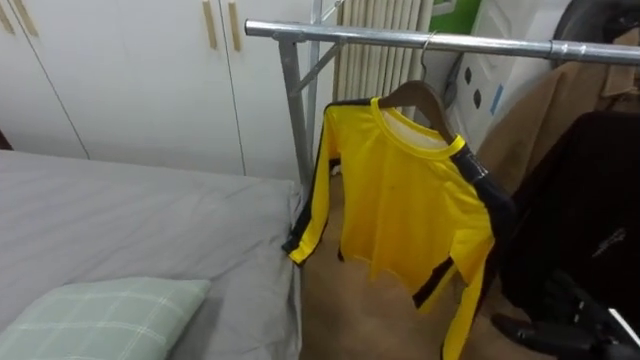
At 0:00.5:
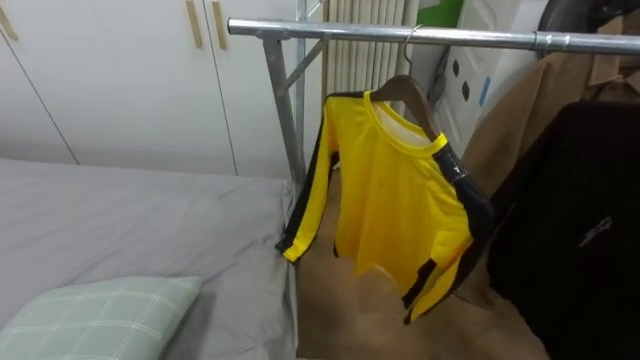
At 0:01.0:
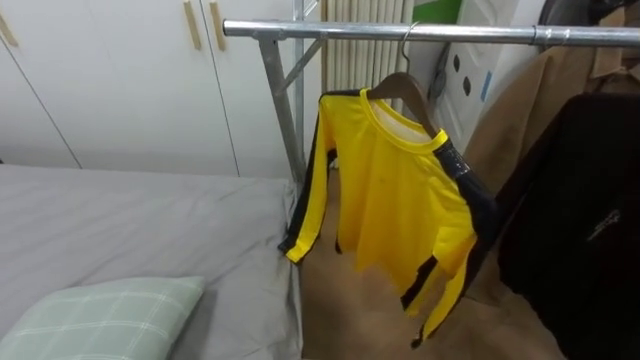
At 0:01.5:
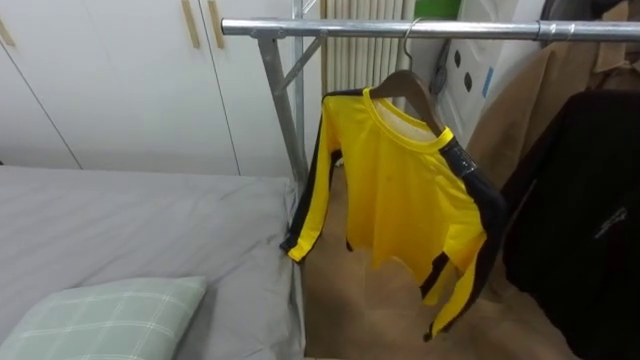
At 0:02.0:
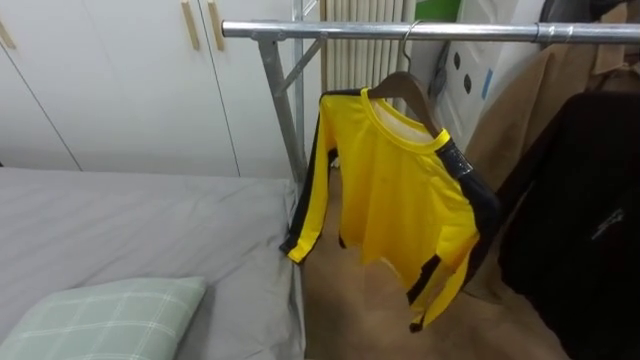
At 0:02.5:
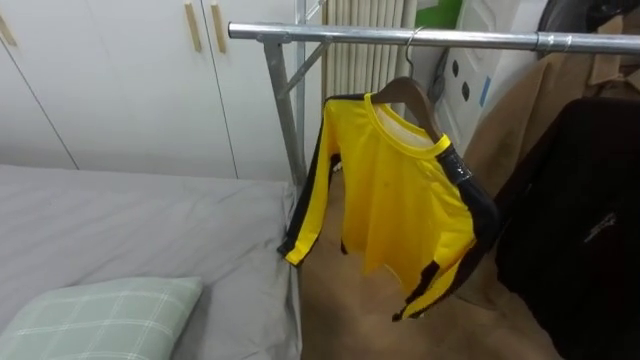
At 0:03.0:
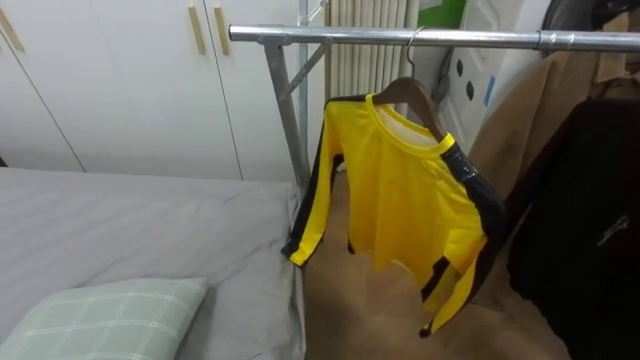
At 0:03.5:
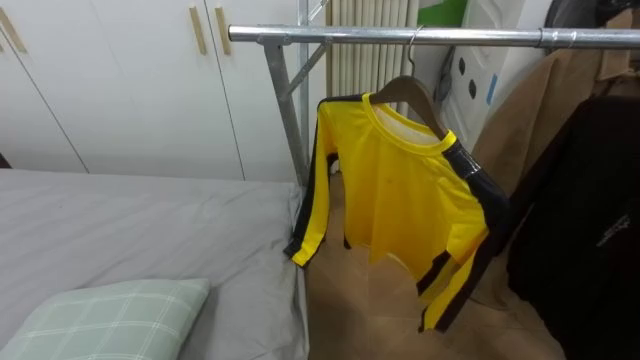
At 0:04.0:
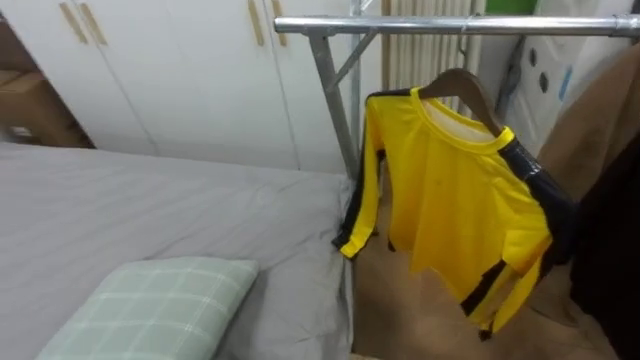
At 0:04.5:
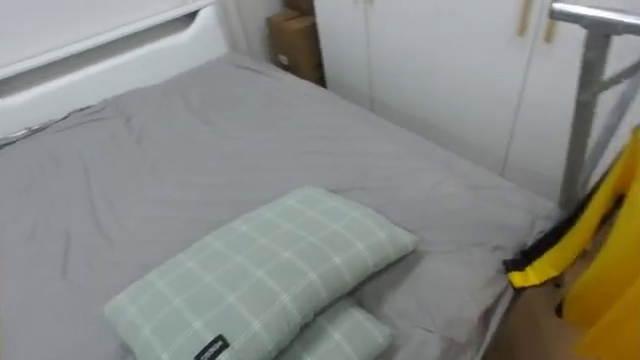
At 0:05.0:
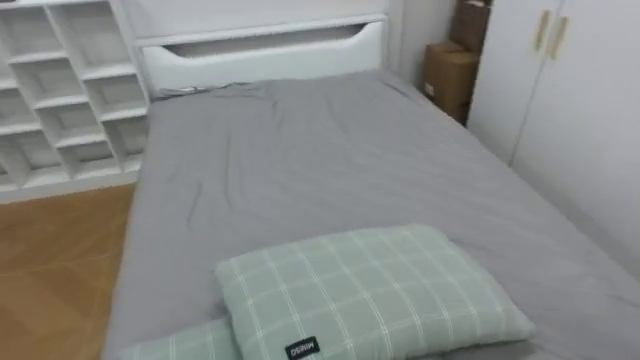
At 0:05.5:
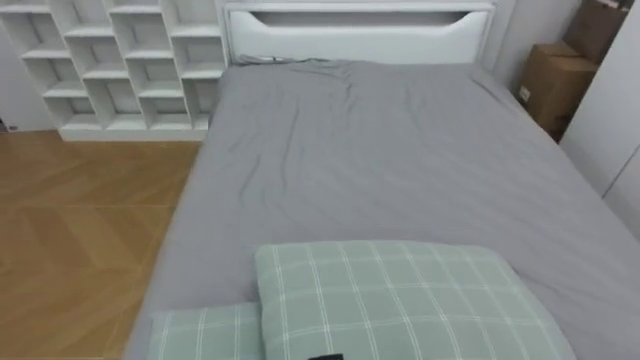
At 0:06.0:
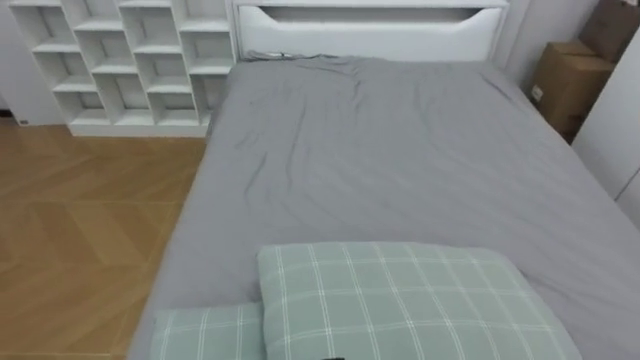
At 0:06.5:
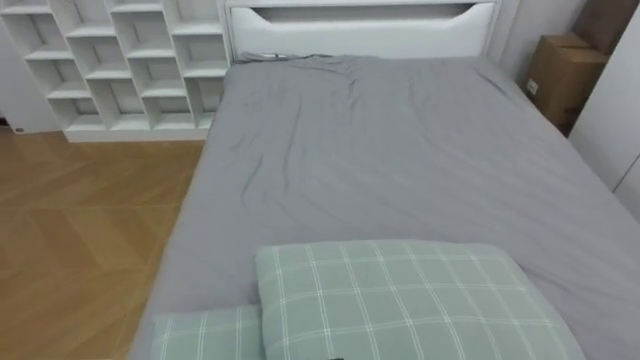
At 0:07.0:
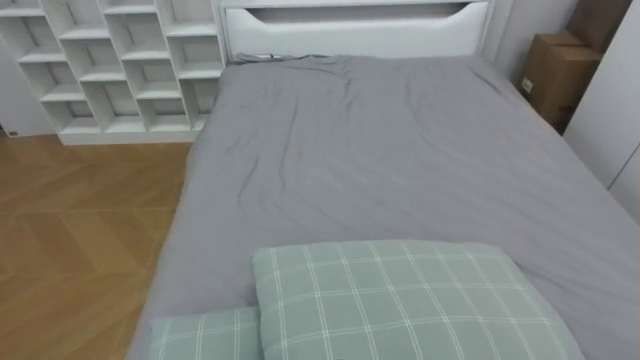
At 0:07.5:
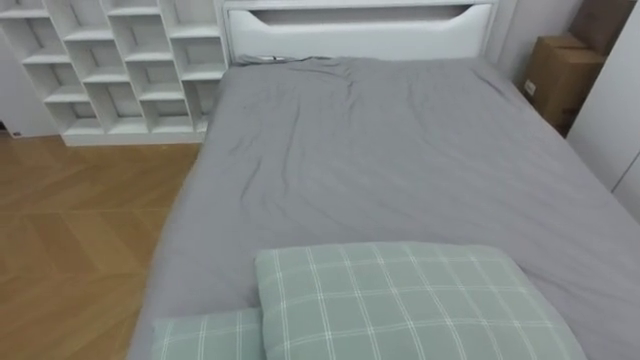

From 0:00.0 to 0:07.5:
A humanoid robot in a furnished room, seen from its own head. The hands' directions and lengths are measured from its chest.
Task of the whole recording: Pick up the yellow shirt on the bed and hang it on the clothes rack on the right.
From 0:04.0 to 0:05.5: The robot rotates some 75 degrees to its left.

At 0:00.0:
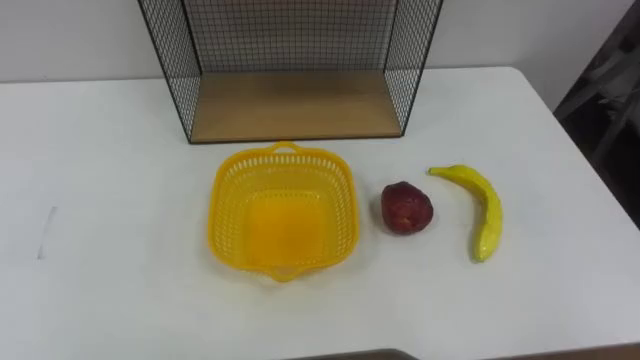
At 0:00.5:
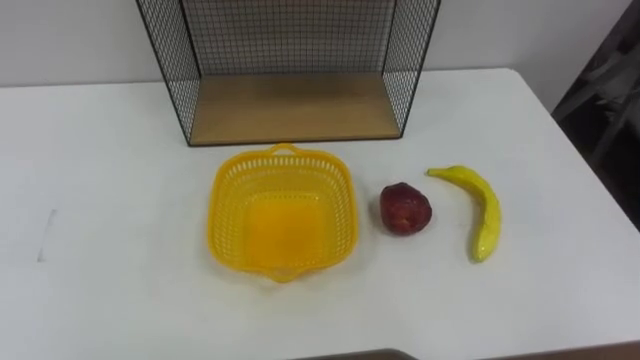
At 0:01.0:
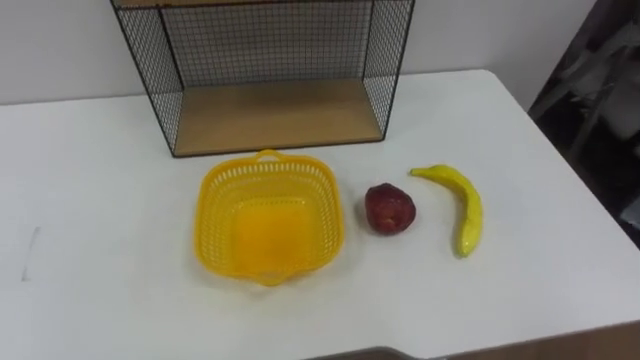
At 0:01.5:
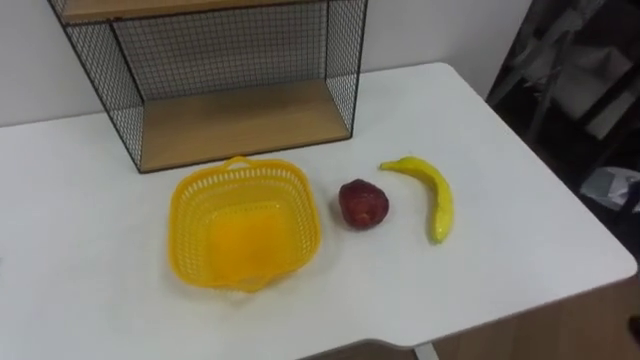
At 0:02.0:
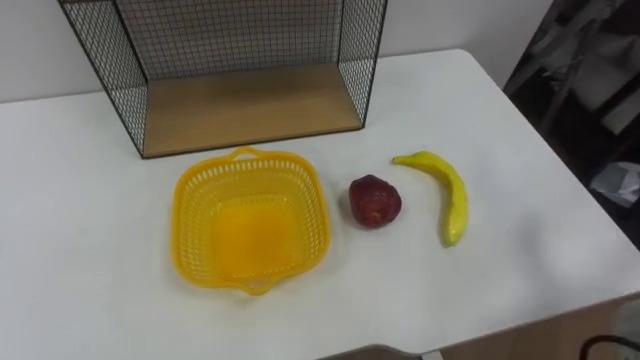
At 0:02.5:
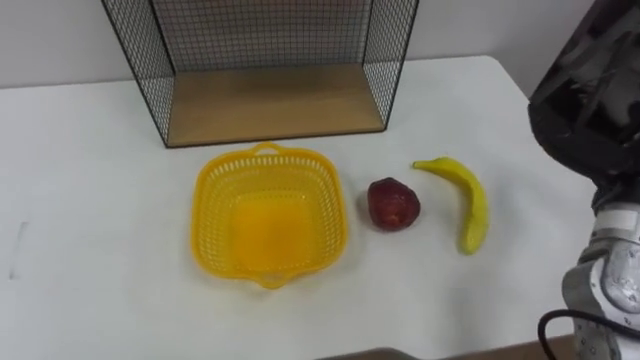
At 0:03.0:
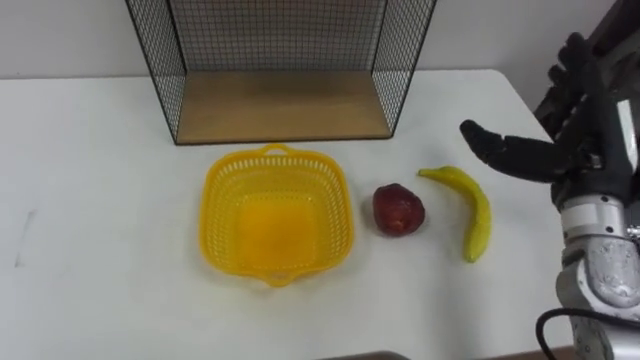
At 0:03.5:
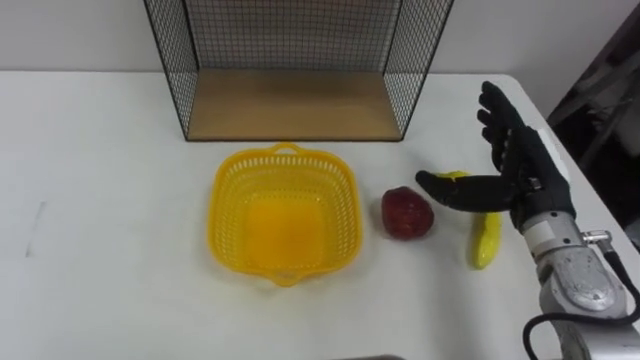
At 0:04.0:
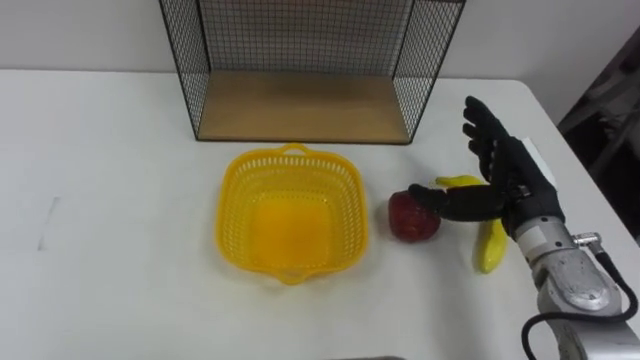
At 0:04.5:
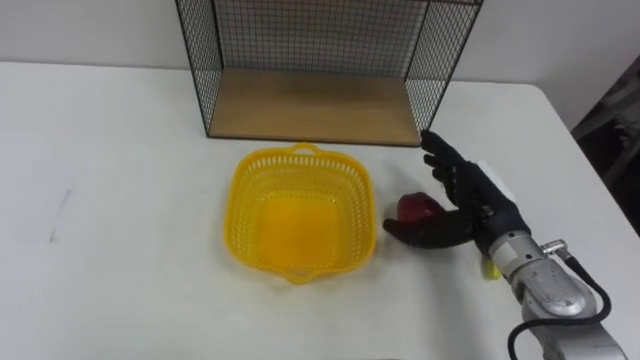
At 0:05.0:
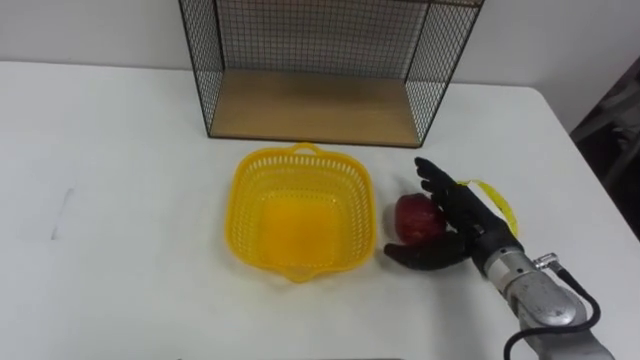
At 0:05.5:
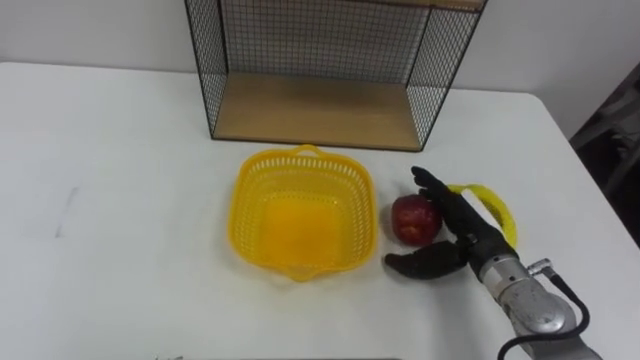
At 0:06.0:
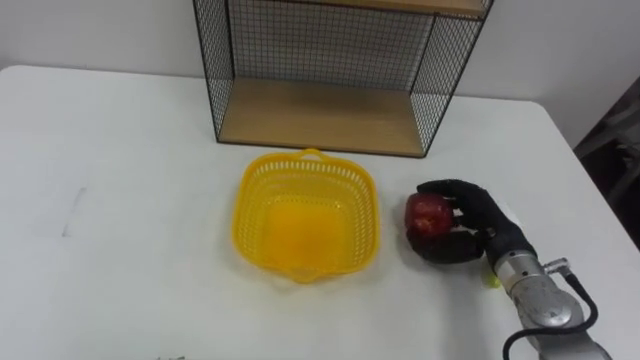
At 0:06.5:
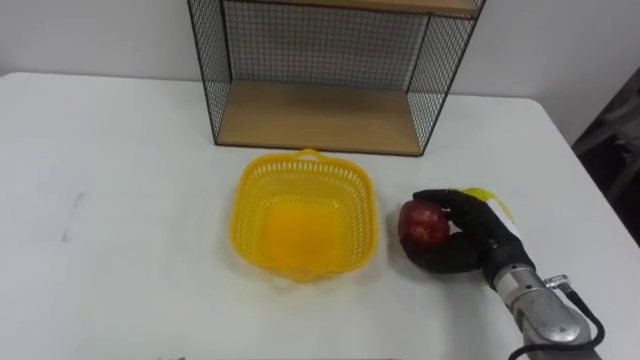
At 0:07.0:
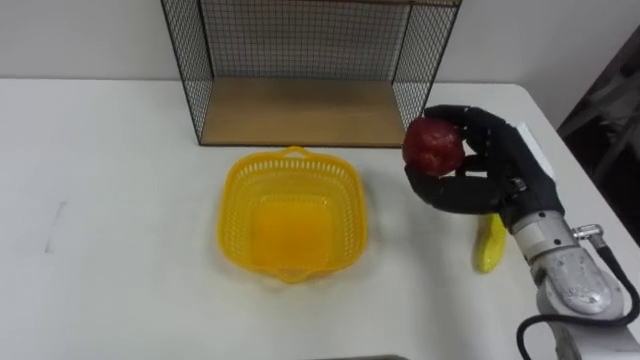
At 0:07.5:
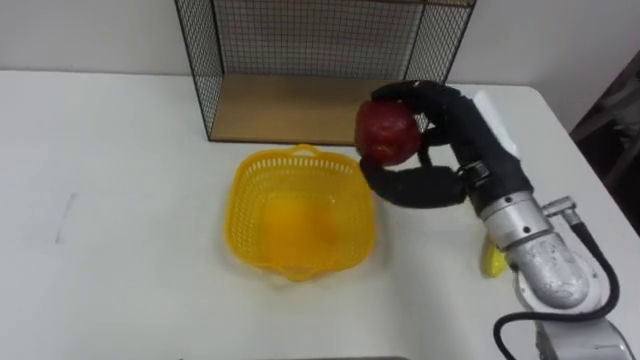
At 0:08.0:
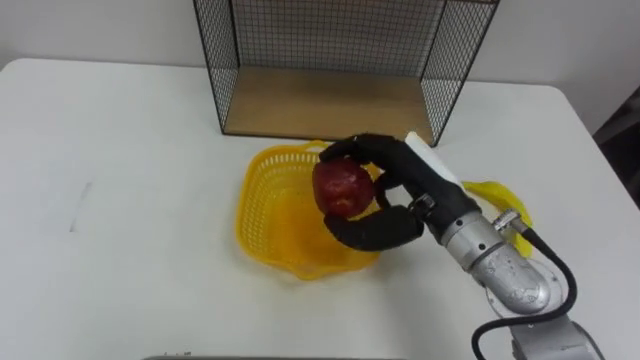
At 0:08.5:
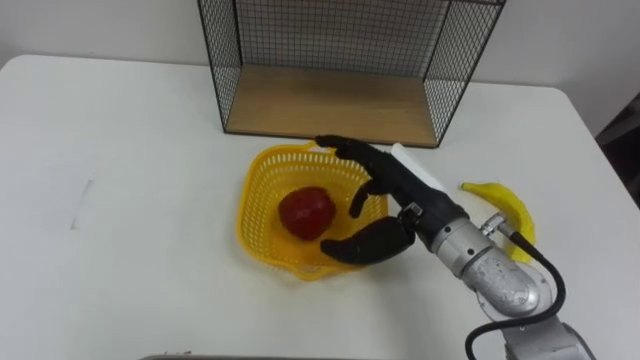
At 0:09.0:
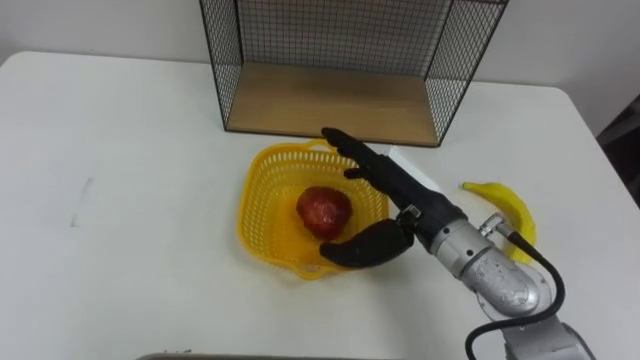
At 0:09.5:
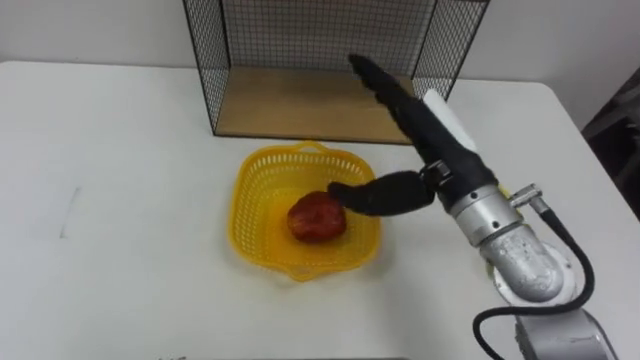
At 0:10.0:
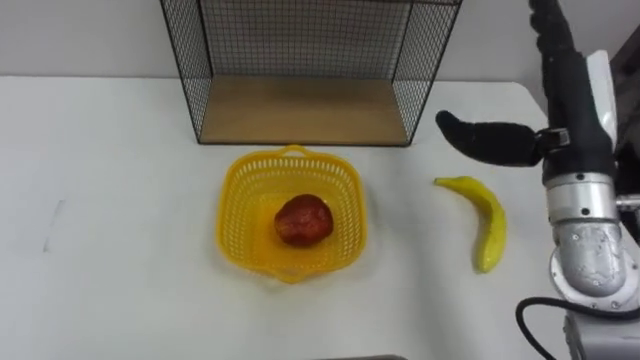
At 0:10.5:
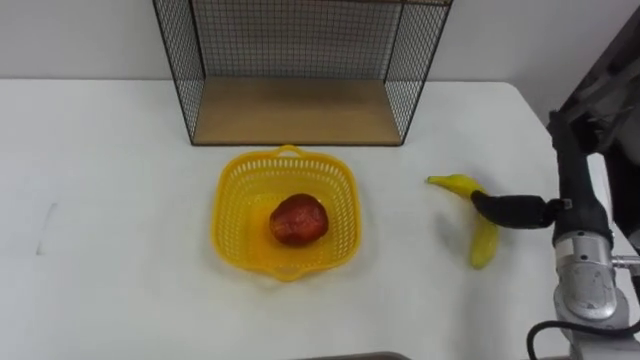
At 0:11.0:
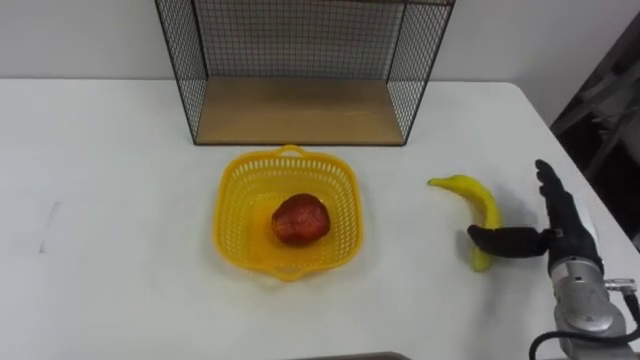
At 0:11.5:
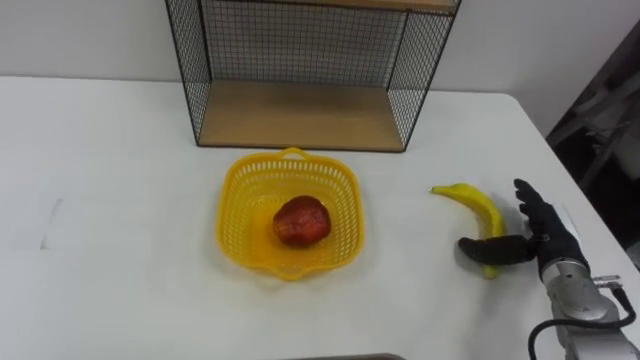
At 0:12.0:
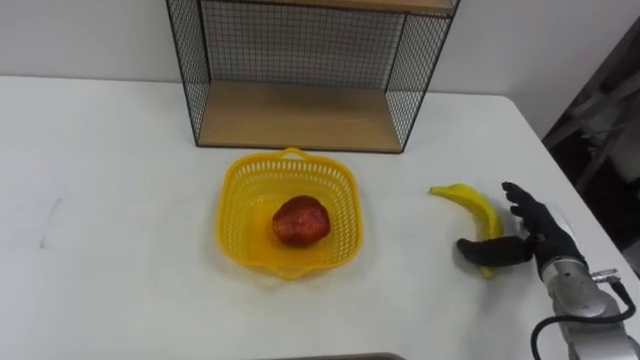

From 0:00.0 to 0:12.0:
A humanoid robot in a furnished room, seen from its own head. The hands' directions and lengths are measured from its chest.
Task of the whole recording: Put the fruit on the table into the basket, then place the basket on the shelf.
From 0:04.0 to 0:06.0: The right hand is displaced downward by roughly 10 cm, and closes.
From 0:06.0 to 0:08.0: The right hand heads upward and to the left, covering approximately 15 cm.
From 0:08.0 to 0:10.0: The right hand shifts roughly 15 cm to the right and upward, and opens.
From 0:10.0 to 0:12.0: The right hand goes some 20 cm downward.
